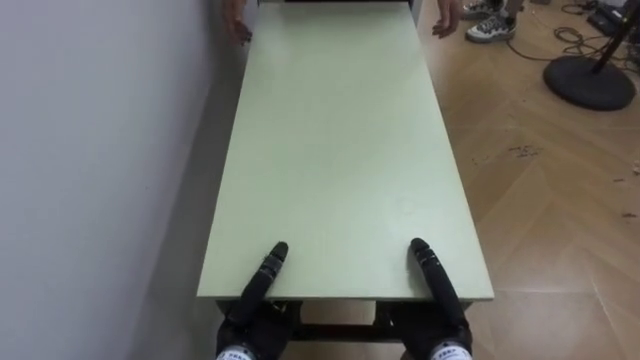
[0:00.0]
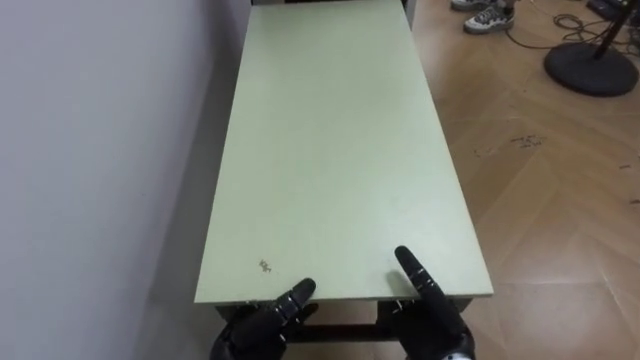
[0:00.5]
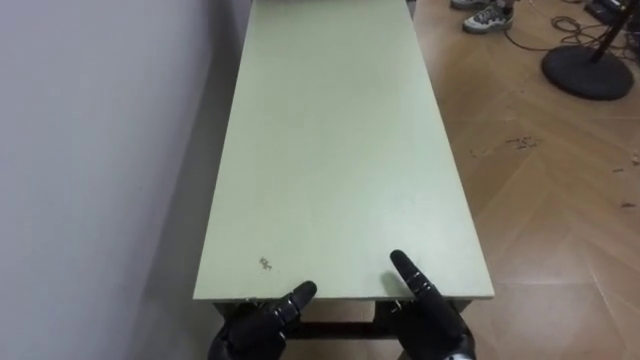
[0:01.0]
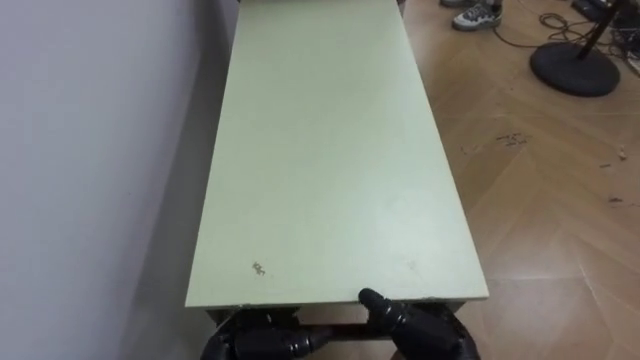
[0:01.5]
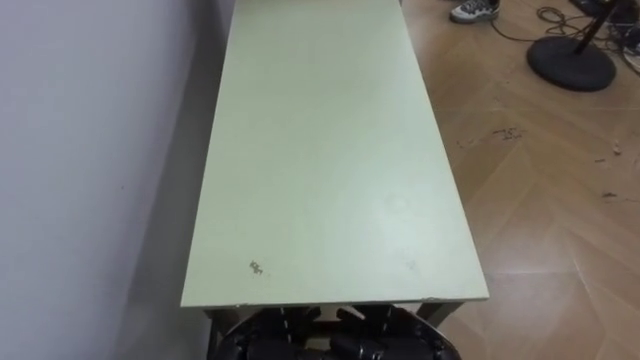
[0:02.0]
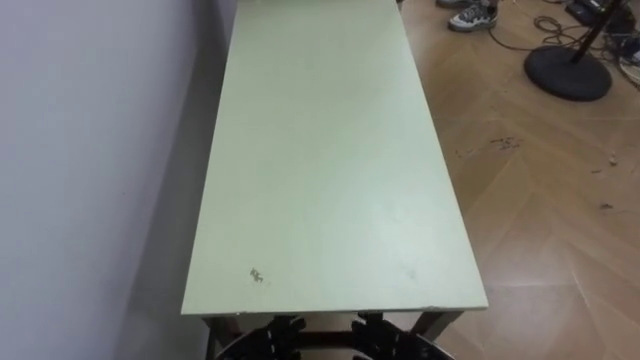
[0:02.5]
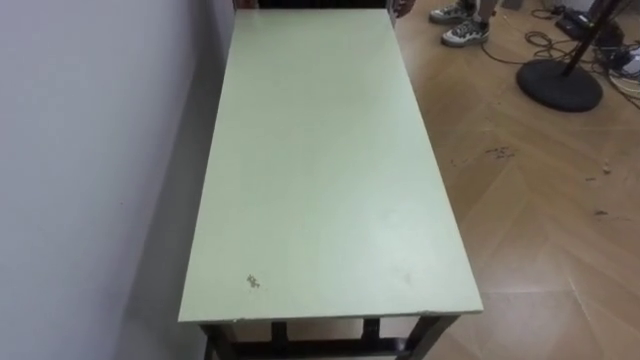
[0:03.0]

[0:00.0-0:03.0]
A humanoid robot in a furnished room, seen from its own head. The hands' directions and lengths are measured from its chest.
Task of the whole recording: Move the table to the back left with someone.
0:00.0 to 0:01.5: The left hand opens its fingers; the right hand opens its fingers.

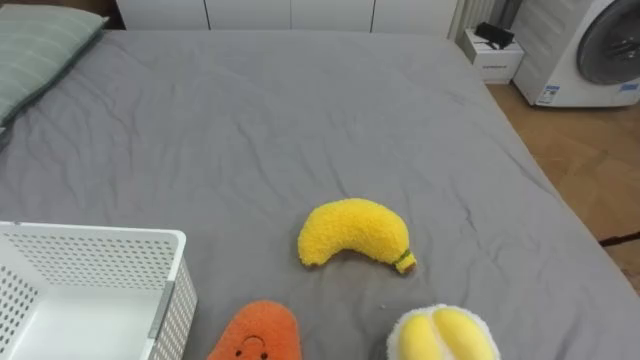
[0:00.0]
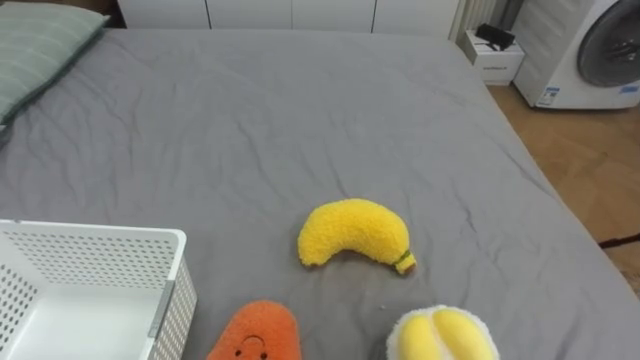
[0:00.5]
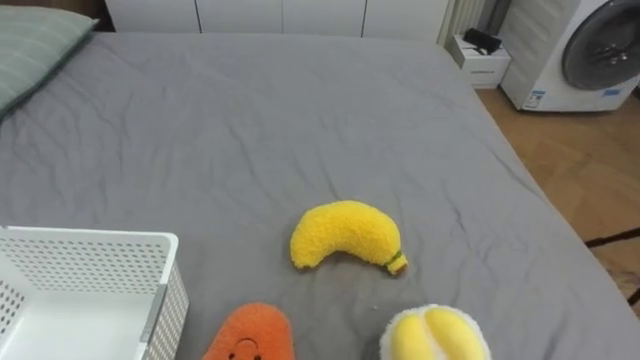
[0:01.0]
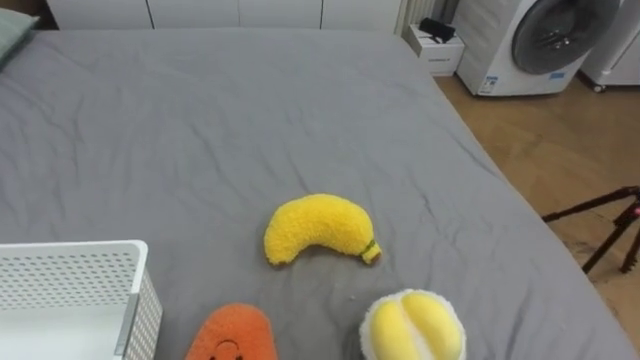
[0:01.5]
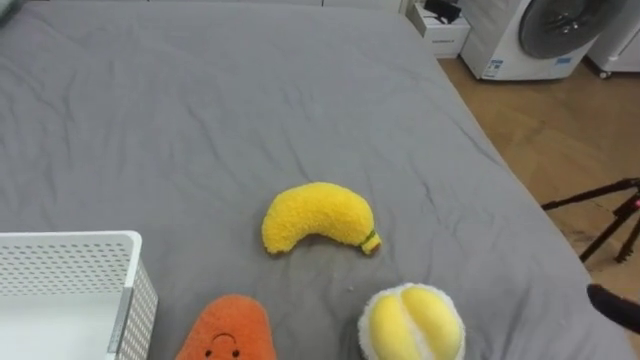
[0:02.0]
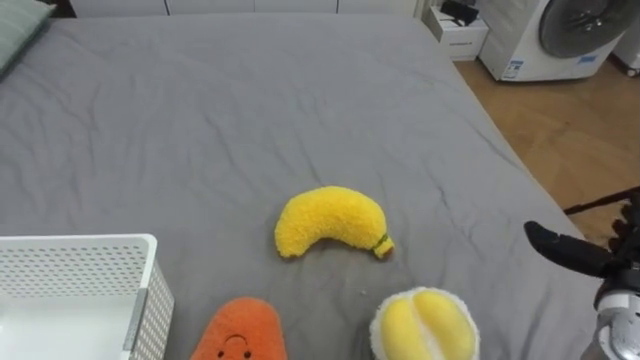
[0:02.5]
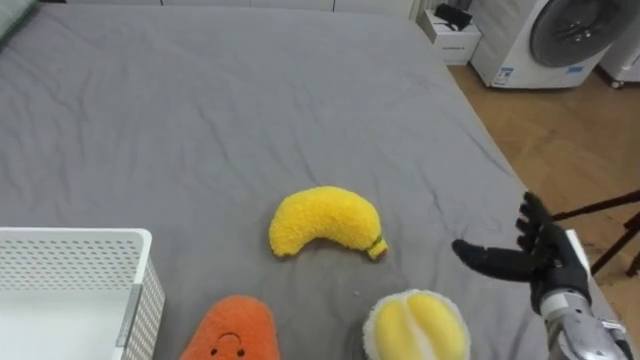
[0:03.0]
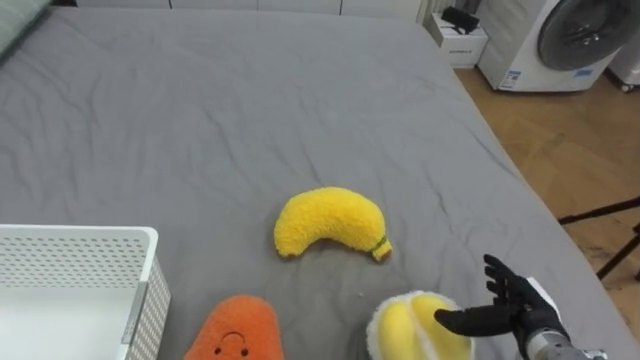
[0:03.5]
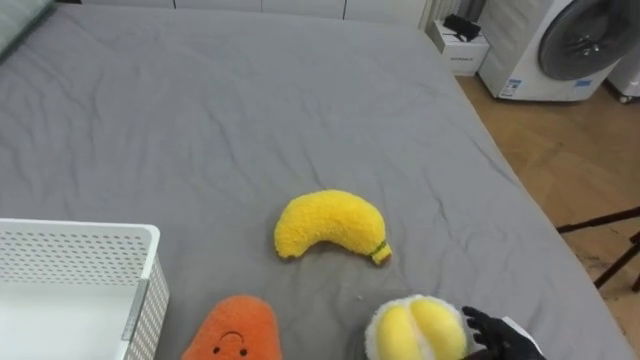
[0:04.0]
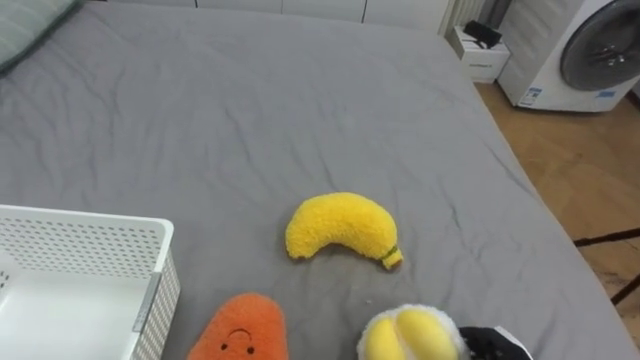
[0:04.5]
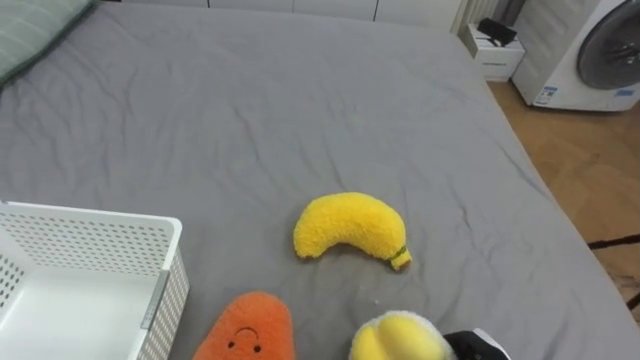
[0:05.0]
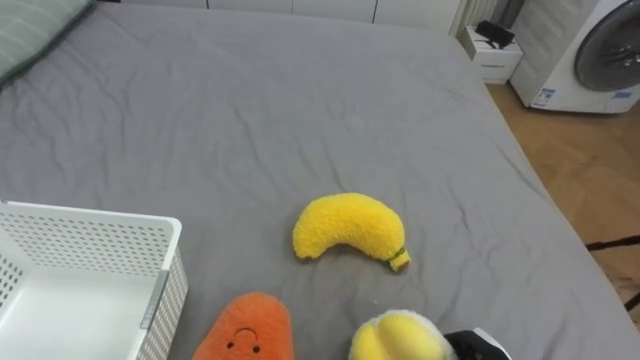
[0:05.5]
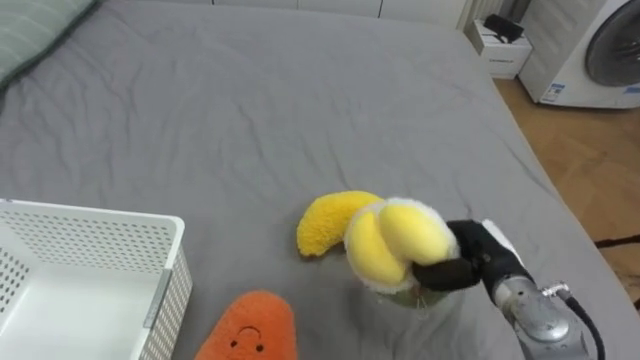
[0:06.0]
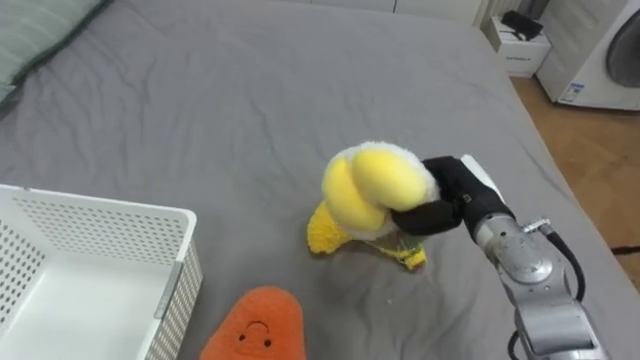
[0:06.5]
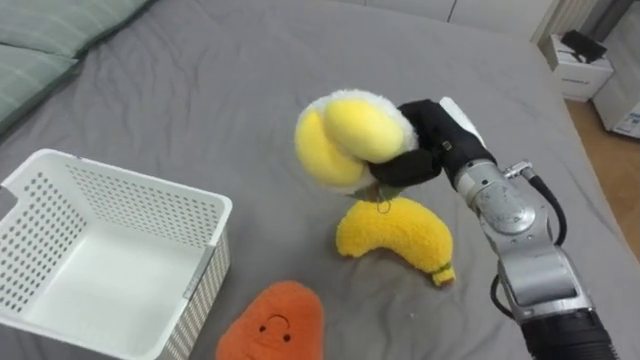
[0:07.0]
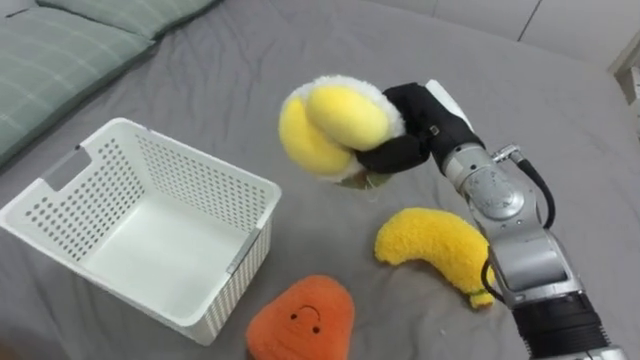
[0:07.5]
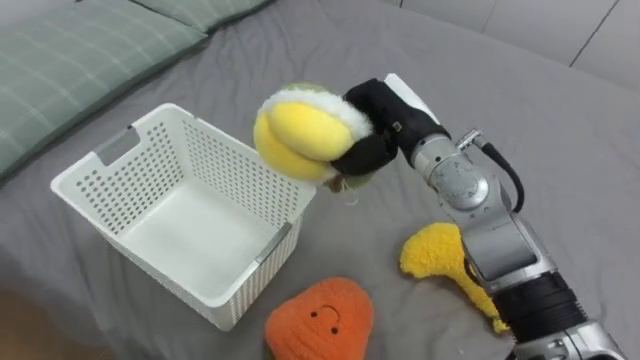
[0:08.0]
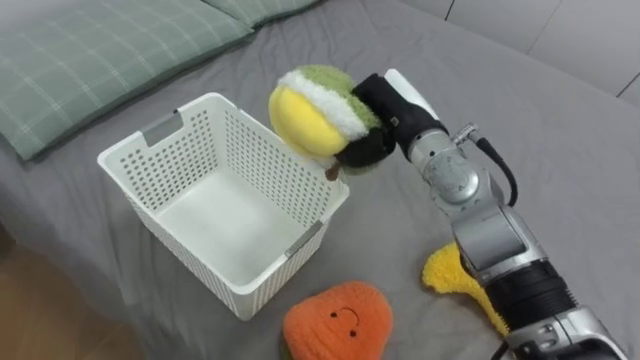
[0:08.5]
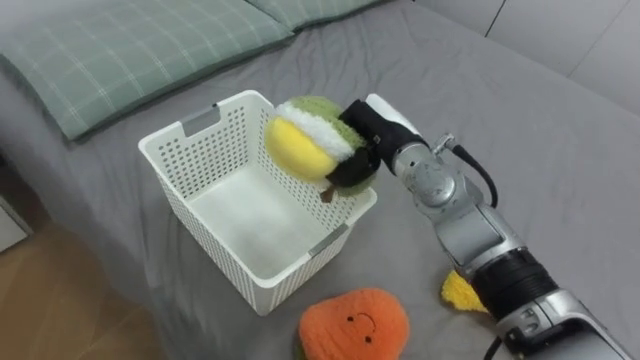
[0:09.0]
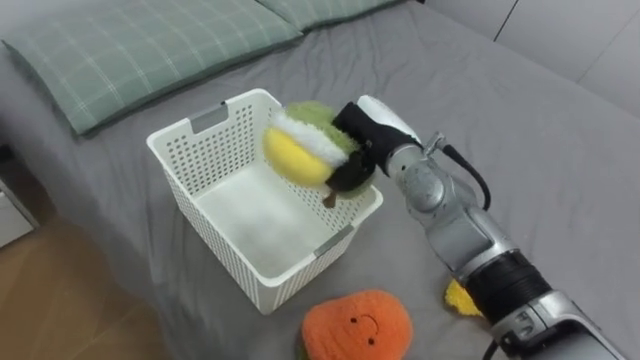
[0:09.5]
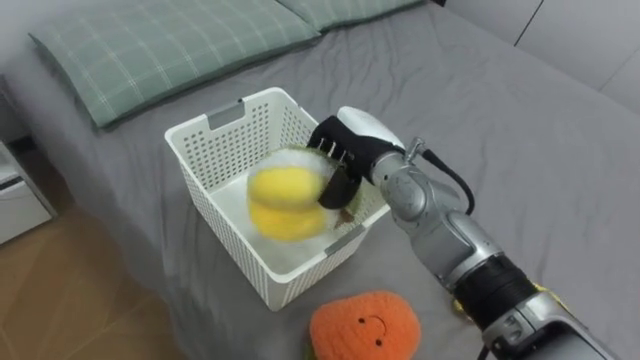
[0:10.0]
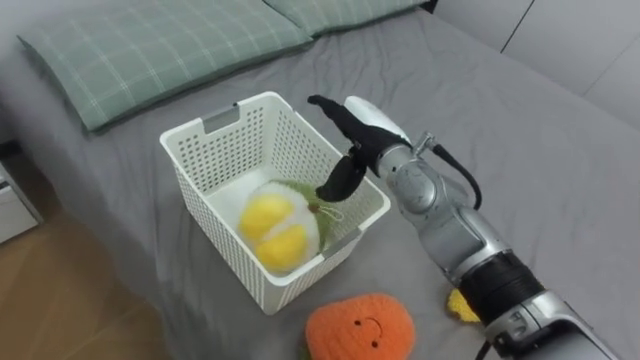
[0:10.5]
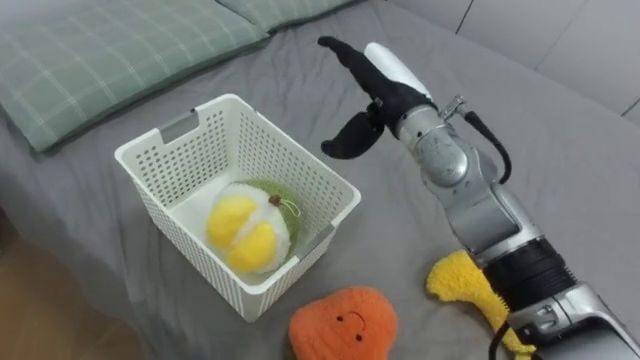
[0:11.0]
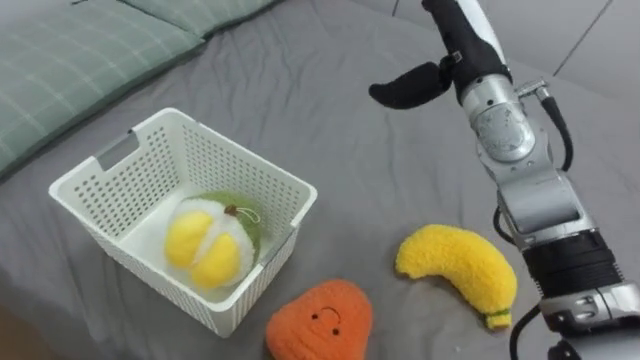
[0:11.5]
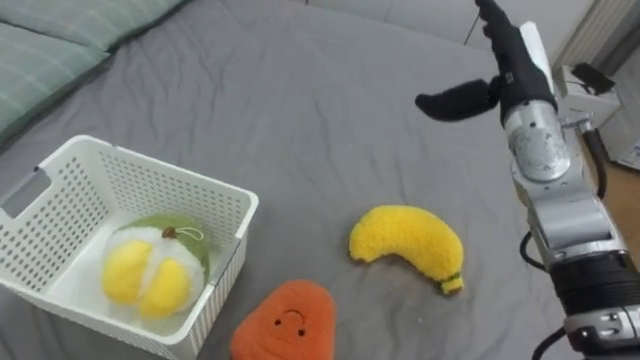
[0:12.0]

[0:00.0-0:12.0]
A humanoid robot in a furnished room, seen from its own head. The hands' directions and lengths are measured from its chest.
Task of the whole recording: Put the toys on the bed into the basket on the left.
0:06.0 to 0:08.0: The right hand travels upward, to the left and forward by some 25 cm.
0:08.0 to 0:10.0: The right hand changes place by approximately 5 cm, and opens.
0:10.0 to 0:12.0: The right hand is displaced to the right and upward by some 20 cm, and opens.

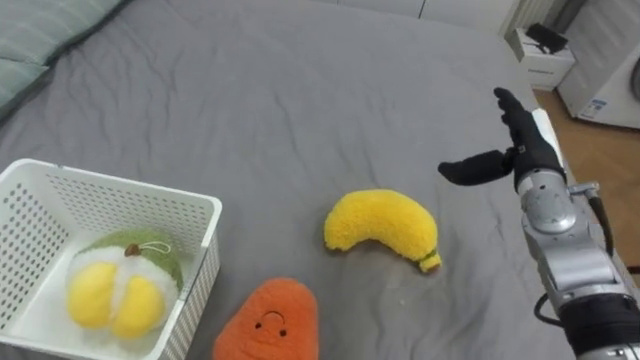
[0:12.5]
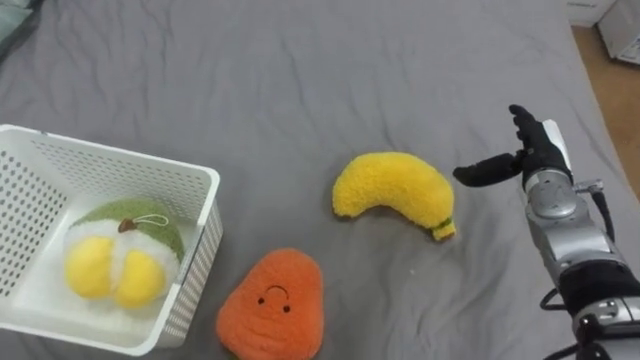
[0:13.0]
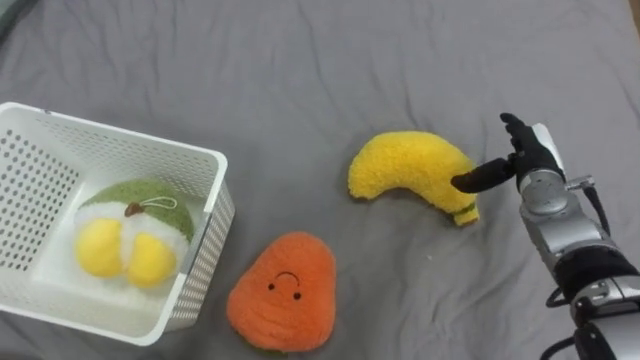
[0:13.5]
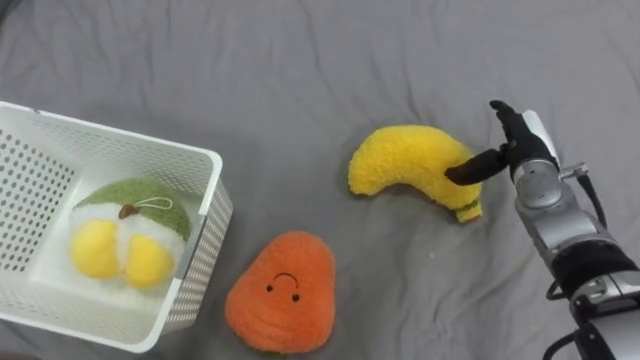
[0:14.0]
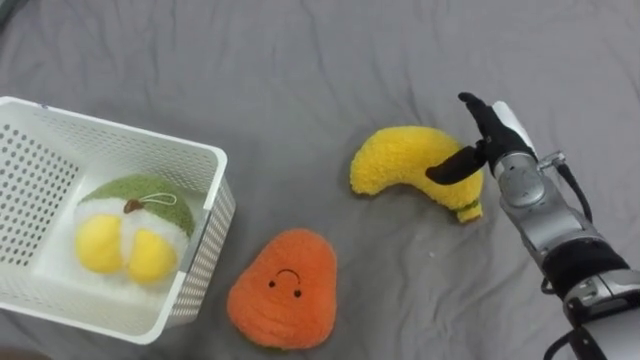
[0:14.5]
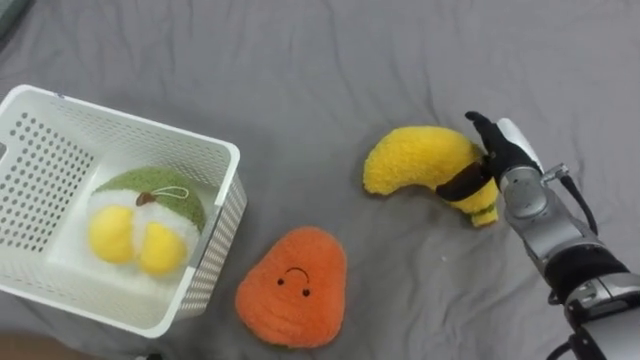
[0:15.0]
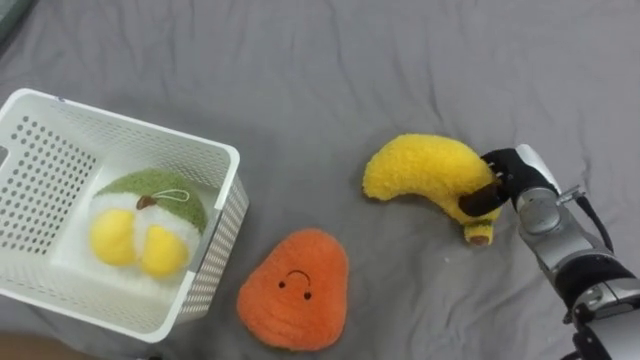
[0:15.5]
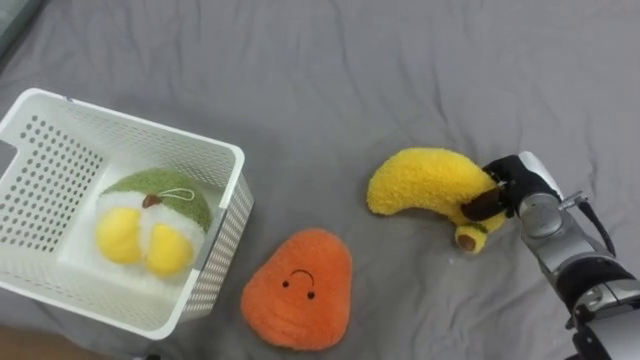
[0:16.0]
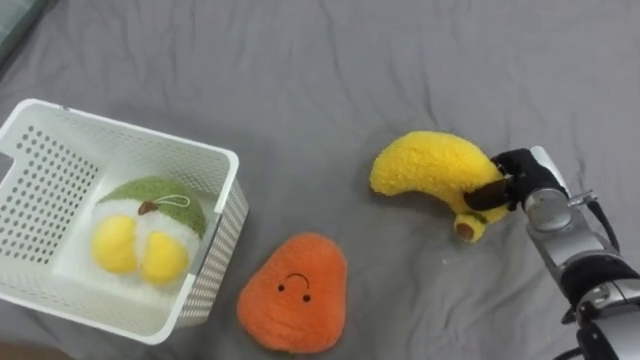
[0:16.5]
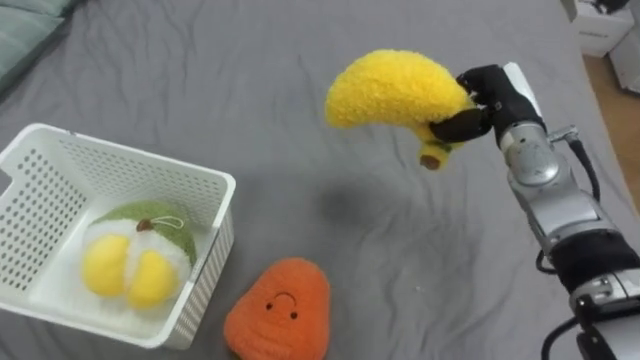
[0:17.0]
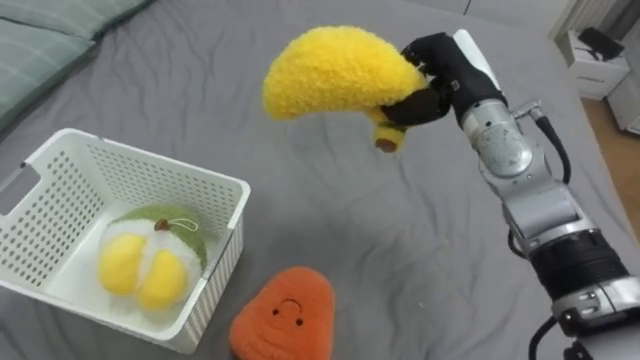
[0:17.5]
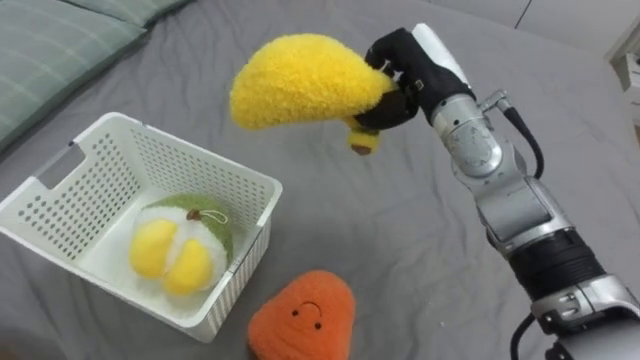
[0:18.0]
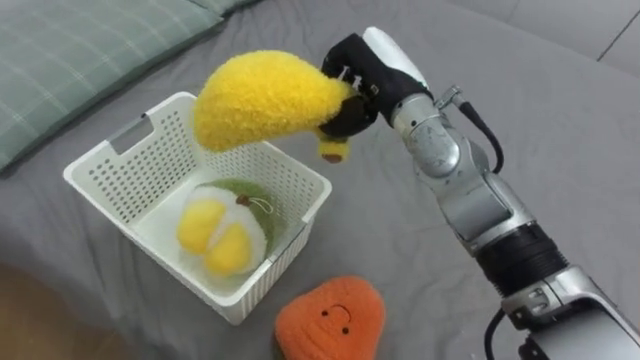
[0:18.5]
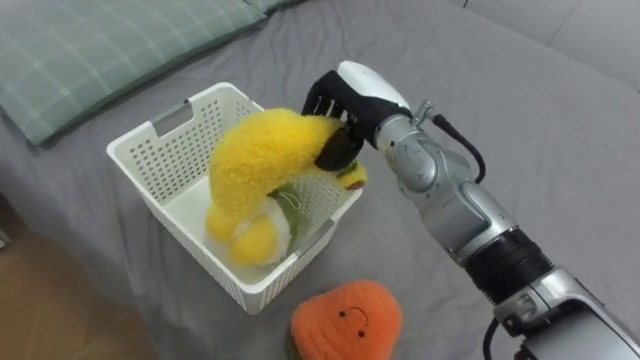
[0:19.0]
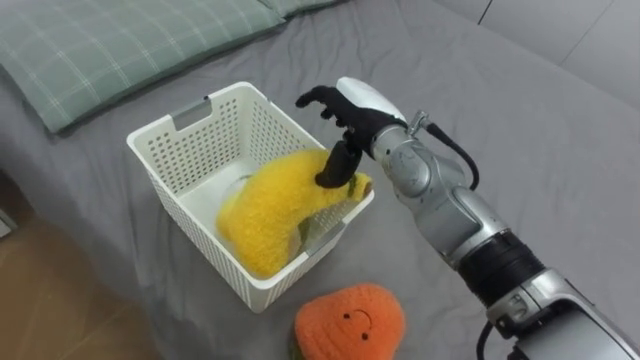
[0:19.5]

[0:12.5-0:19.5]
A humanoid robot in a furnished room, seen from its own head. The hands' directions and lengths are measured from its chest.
Task of the whole recording: Put the toys on the bed into the basket on the left.
0:14.5 to 0:16.0: The right hand moves downward, roughly 5 cm, and closes.
0:16.0 to 0:17.5: The right hand goes about 20 cm upward and to the left.
0:17.5 to 0:19.5: The right hand moves to the left, roughly 10 cm, and opens.
